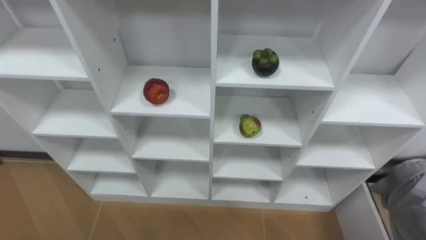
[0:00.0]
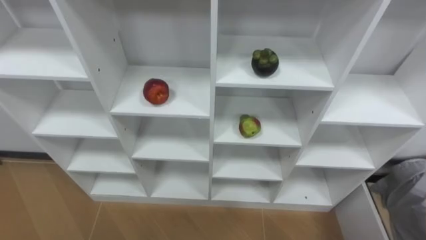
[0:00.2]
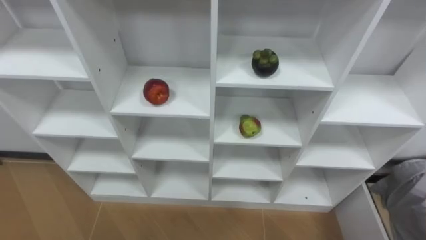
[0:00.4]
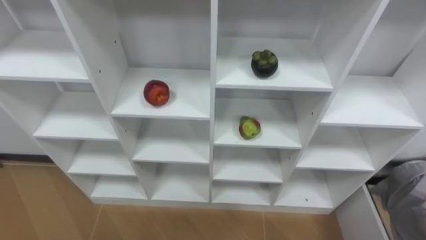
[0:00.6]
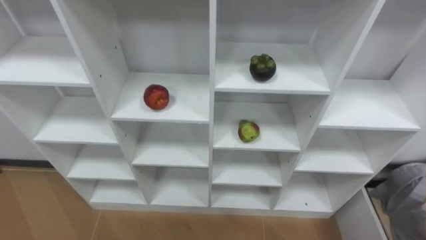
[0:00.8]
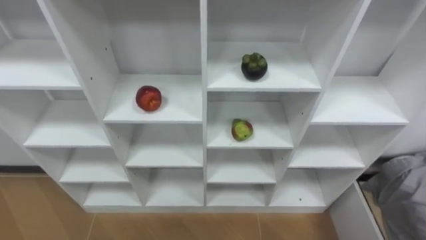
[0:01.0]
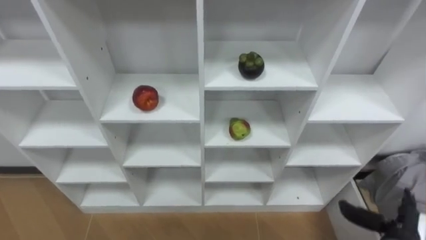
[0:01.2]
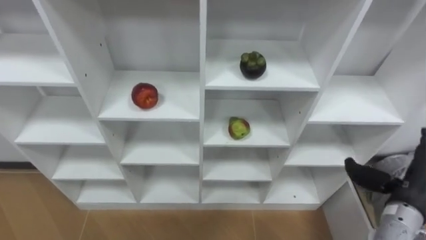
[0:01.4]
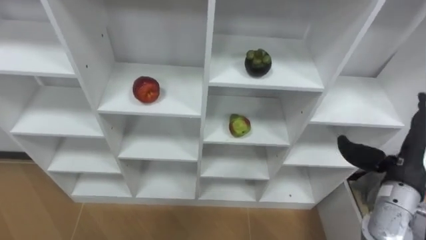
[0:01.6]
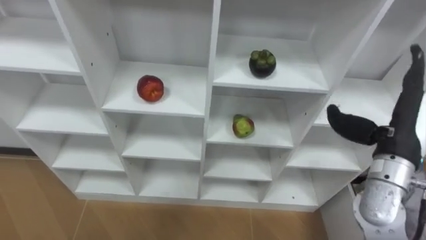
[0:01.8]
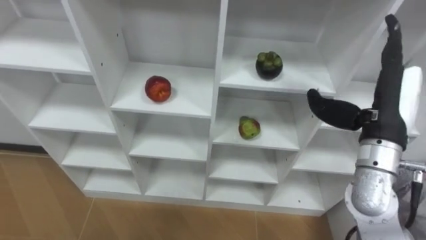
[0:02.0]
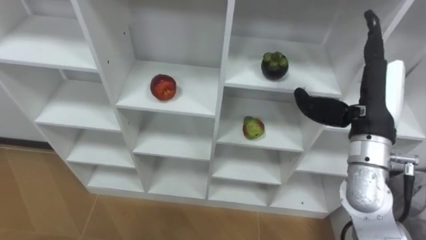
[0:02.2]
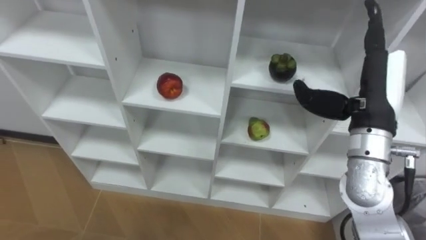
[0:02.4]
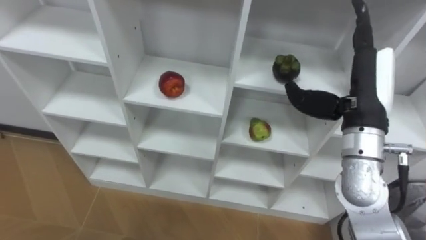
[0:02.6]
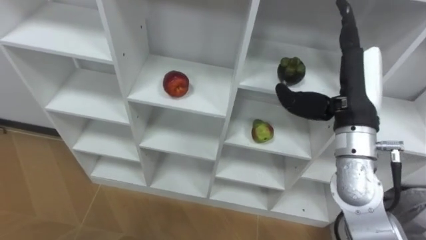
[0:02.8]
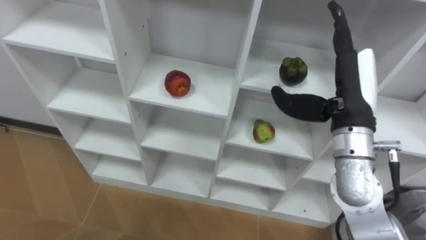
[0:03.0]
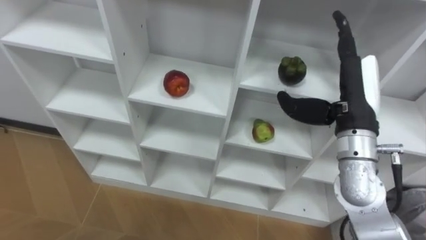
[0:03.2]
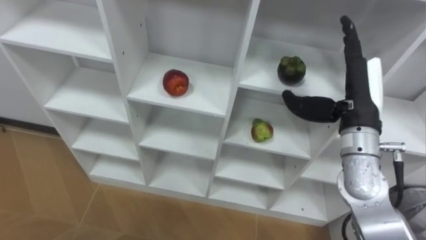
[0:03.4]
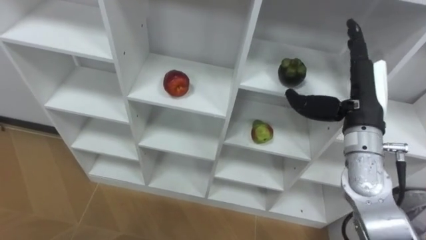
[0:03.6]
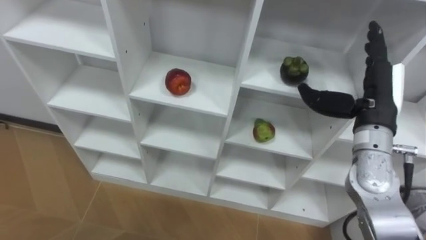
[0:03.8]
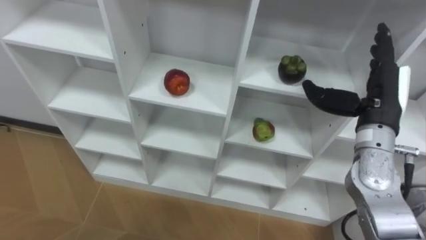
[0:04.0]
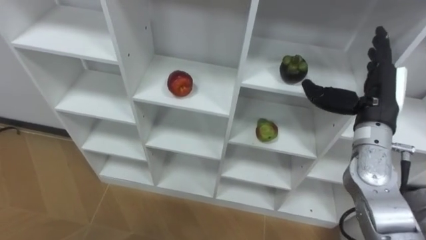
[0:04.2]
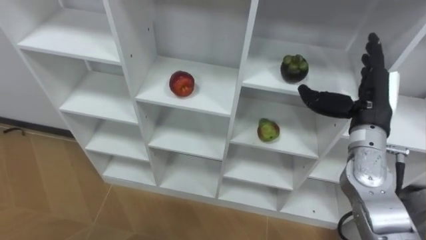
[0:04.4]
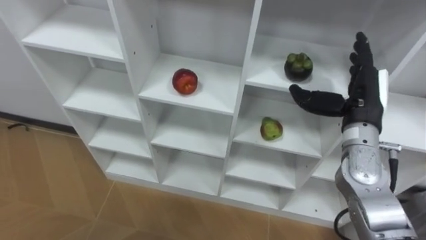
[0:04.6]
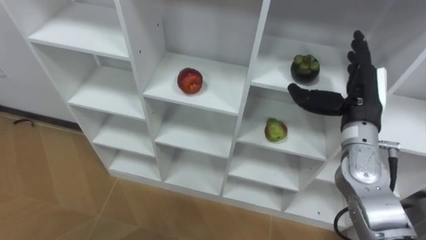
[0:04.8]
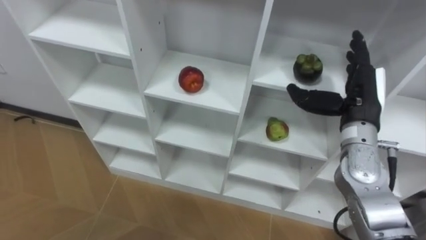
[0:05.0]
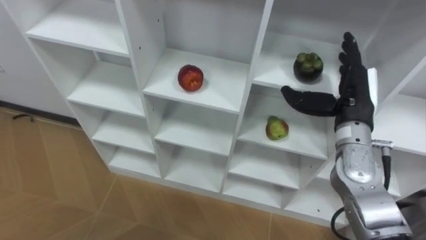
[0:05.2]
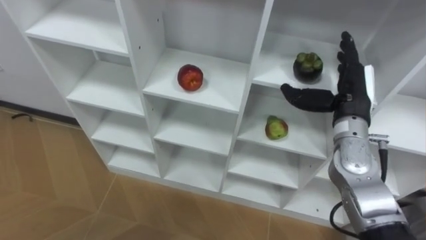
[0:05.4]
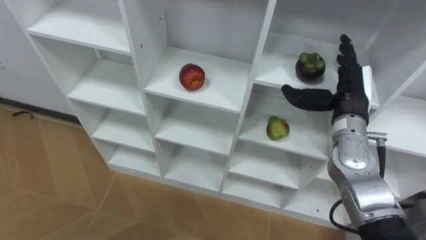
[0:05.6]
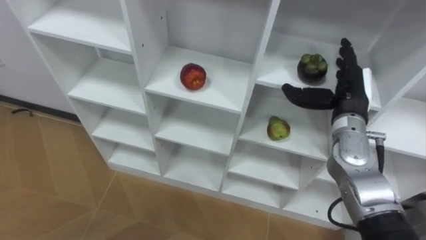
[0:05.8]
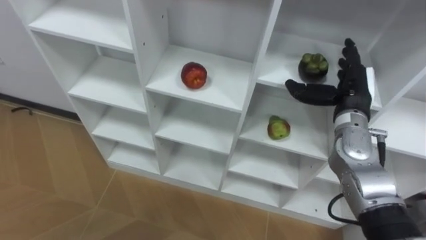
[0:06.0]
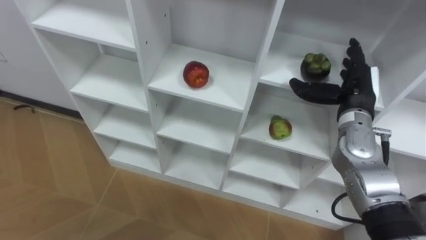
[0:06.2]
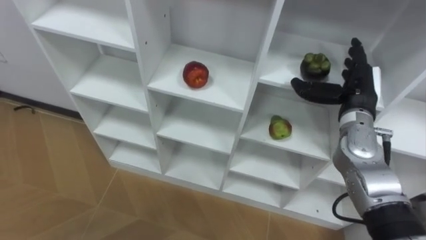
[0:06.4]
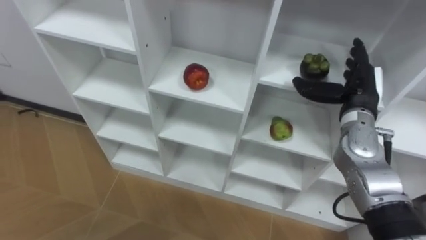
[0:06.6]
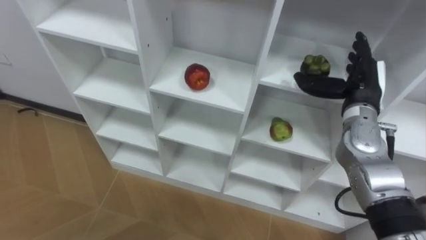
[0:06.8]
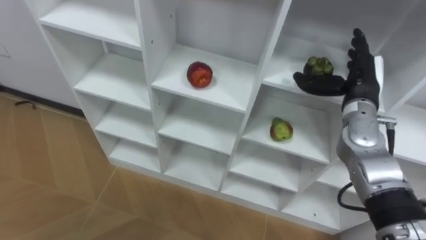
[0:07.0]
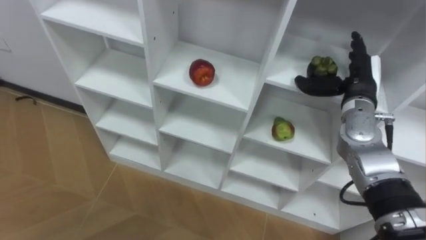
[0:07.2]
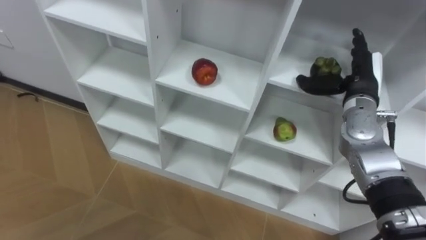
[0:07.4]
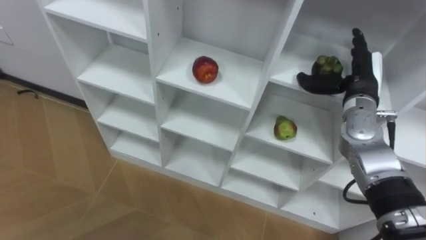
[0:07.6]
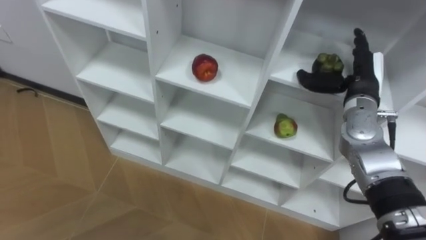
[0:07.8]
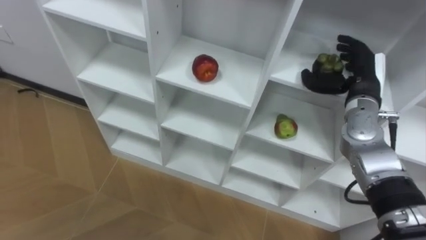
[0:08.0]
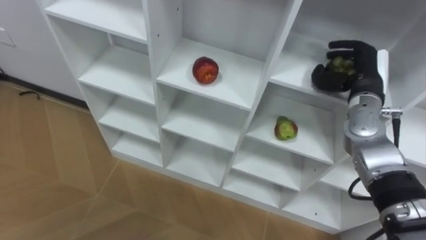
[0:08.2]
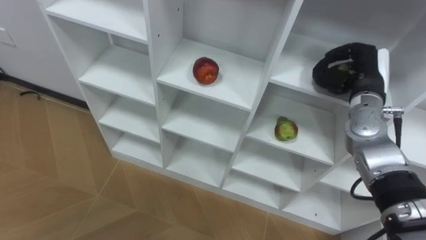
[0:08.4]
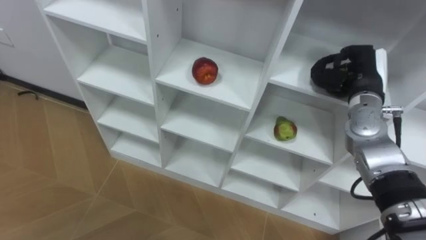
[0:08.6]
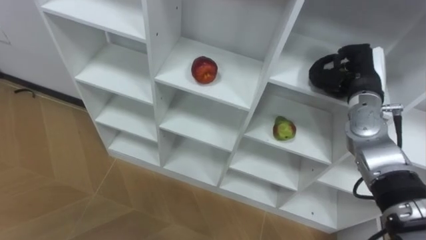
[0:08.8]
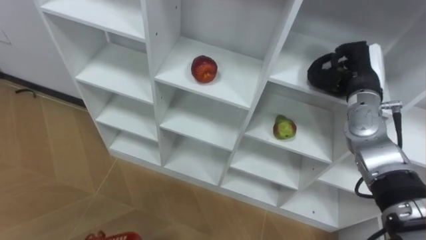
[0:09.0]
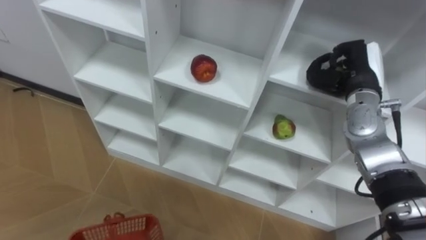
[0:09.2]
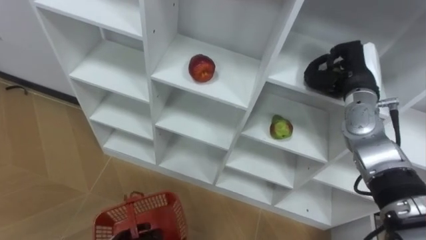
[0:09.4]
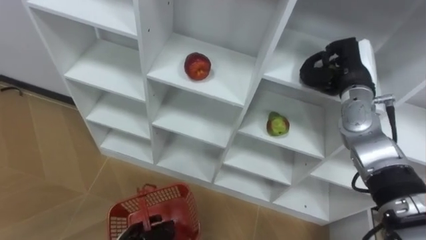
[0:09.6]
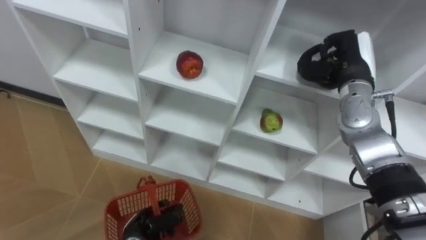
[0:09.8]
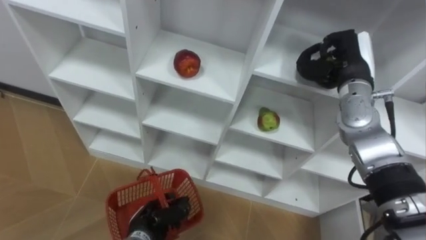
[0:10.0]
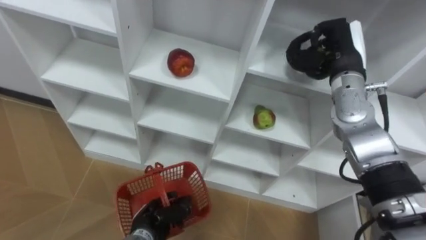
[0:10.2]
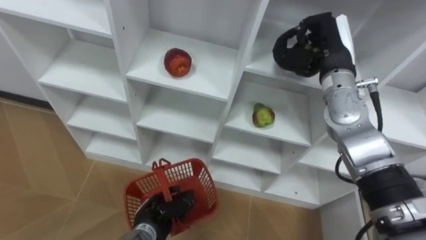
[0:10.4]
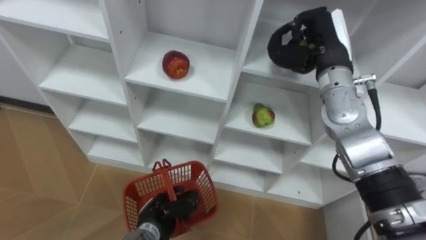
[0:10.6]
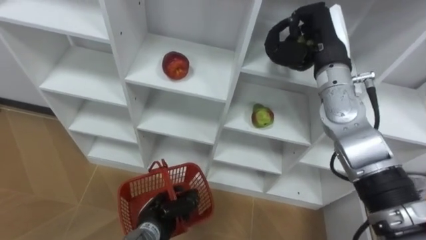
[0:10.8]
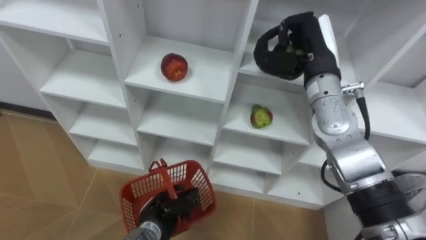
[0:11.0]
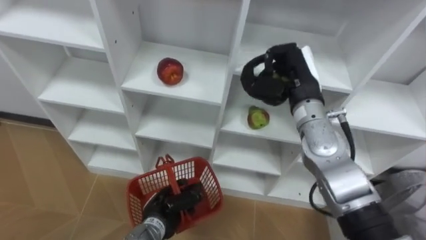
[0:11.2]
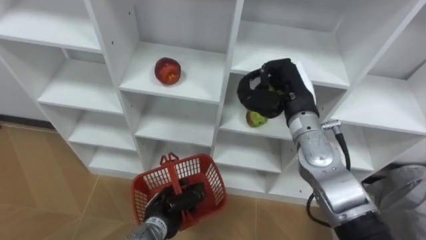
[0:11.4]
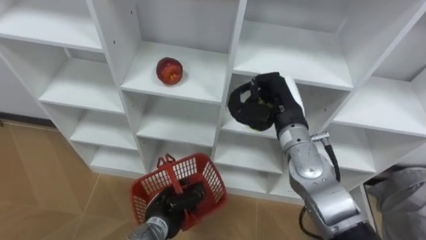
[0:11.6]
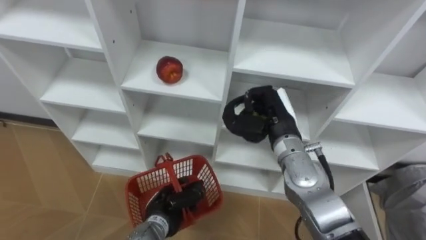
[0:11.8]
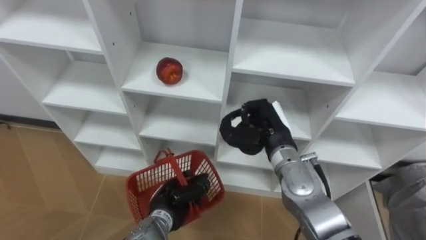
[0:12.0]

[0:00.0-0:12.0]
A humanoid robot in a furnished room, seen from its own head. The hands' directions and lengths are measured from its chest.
Task of the whole recording: Hold the basket and collect the fruits from 3 different cells of the closet into it.
1.6 to 3.0 s: The right hand is displaced to the left, upward and forward by roughly 15 cm.
3.0 to 4.4 s: The right hand goes some 10 cm to the right and downward.
7.6 to 9.0 s: The right hand closes up.
9.0 to 10.4 s: The right hand travels to the left and upward by roughly 10 cm.
10.4 to 12.0 s: The right hand goes roughly 15 cm downward, to the left and backward.

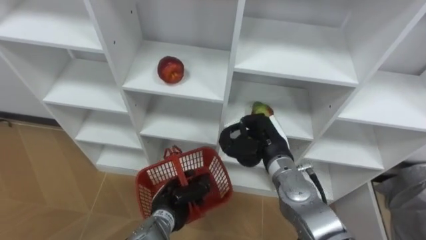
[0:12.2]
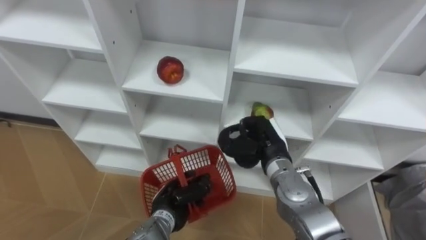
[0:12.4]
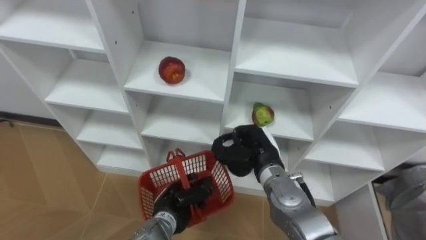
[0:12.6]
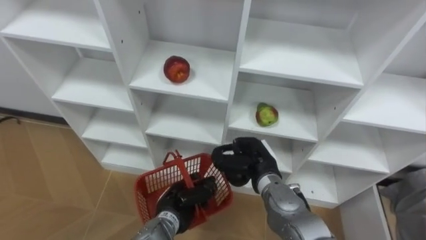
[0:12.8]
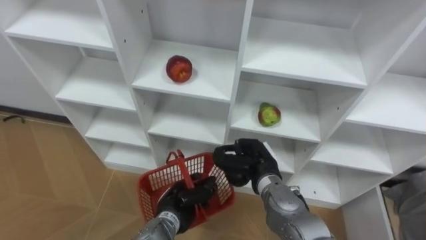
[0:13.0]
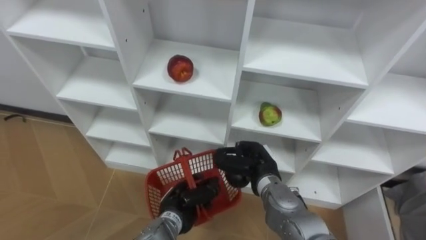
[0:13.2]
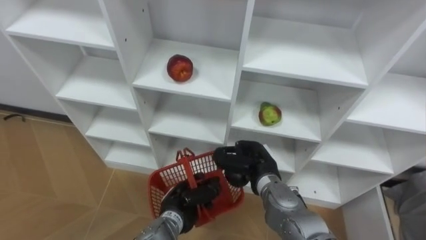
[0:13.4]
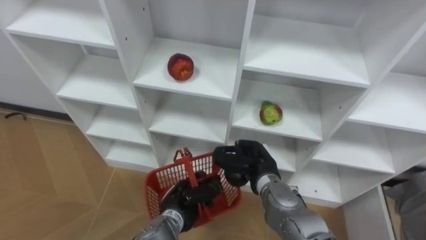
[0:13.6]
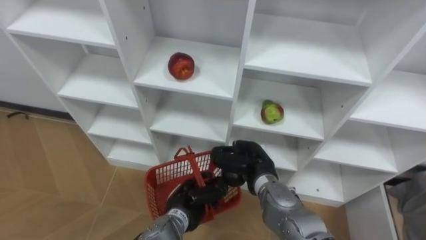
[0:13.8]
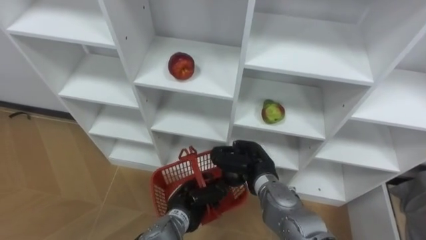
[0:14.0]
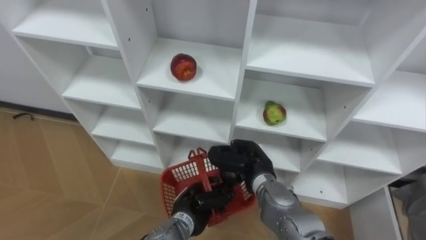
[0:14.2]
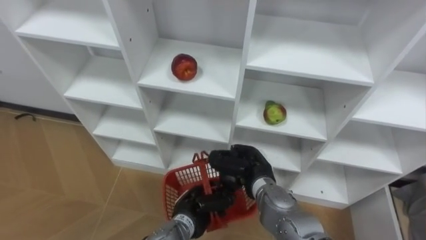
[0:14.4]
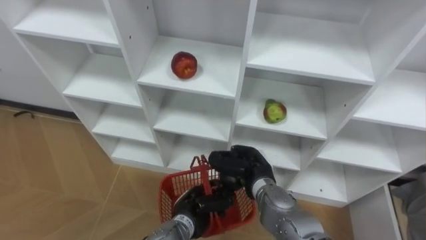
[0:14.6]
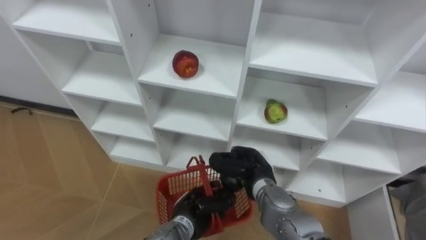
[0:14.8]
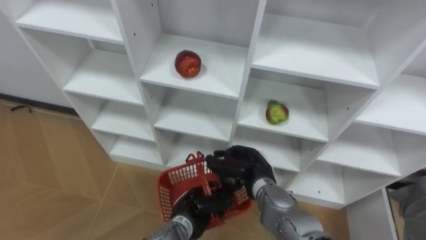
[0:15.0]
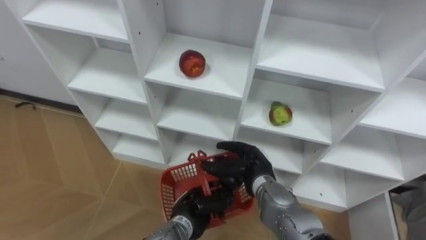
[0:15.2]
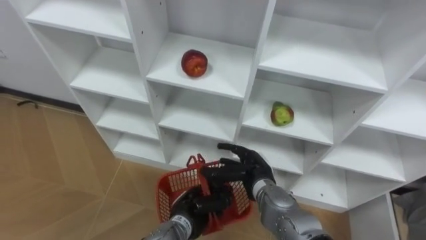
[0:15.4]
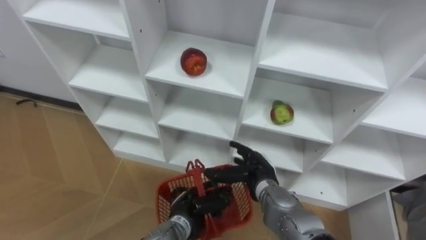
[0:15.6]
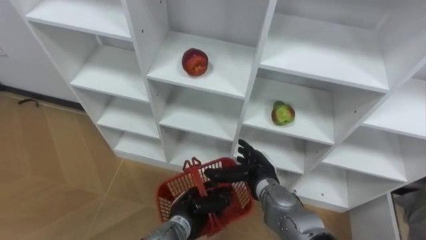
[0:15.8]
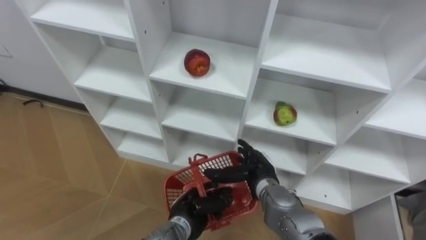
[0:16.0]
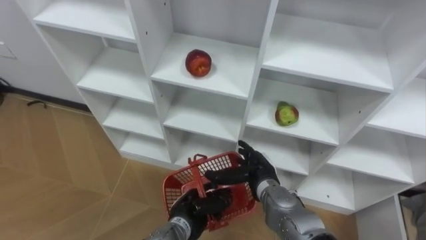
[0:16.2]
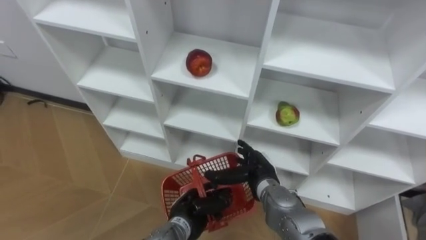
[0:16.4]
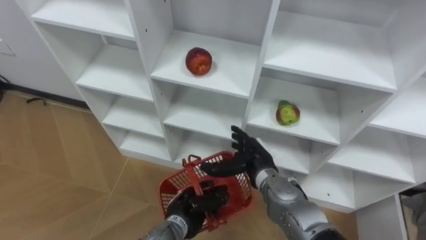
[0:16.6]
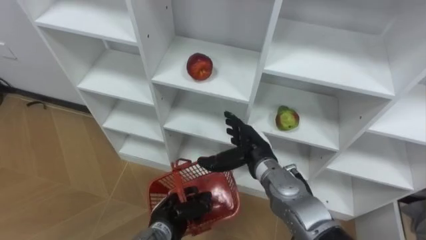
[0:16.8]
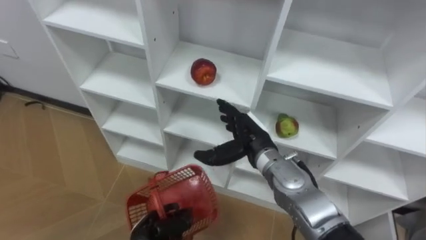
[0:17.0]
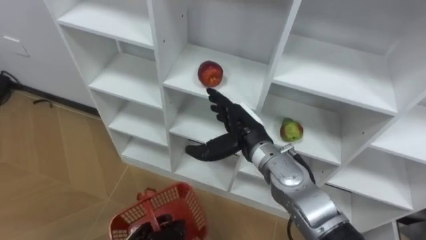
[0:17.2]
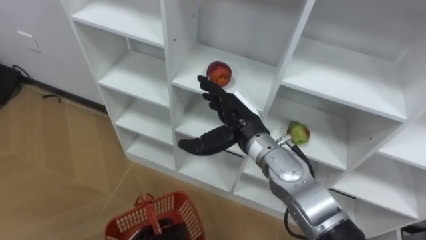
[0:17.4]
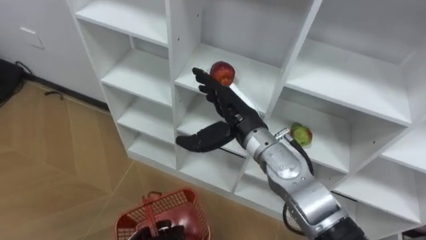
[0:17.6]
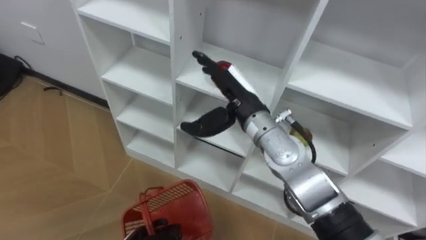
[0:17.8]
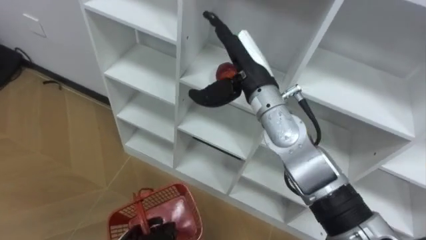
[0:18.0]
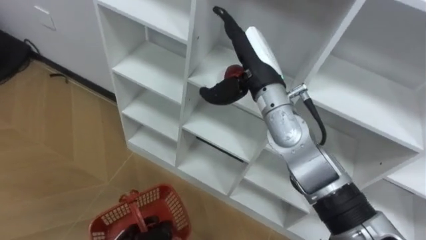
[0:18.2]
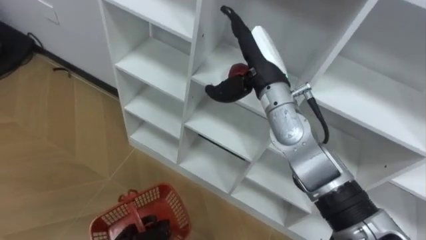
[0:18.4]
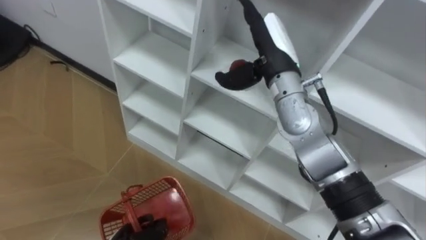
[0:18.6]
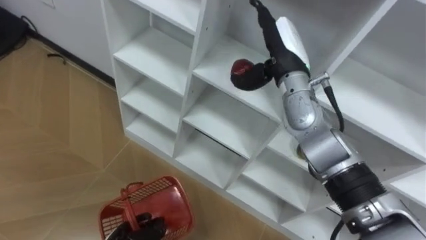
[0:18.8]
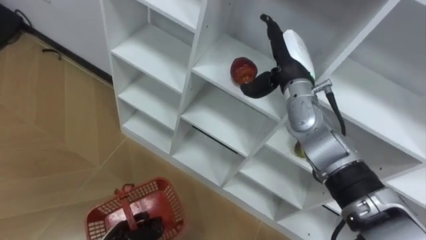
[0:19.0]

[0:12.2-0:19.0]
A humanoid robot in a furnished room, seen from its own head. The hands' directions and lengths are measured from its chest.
Task of the whole recording: Hold the basket and collect the fruits from 3 different cells of the closet into it.
12.2 to 13.6 s: The right hand moves downward, about 5 cm.
15.0 to 16.2 s: The right hand opens up.
16.2 to 17.6 s: The right hand is displaced upward by some 15 cm.
17.6 to 19.0 s: The right hand is displaced to the right and forward by about 10 cm.
